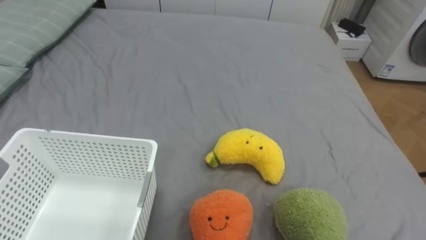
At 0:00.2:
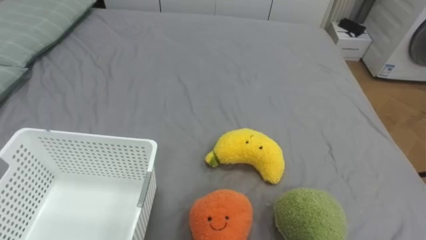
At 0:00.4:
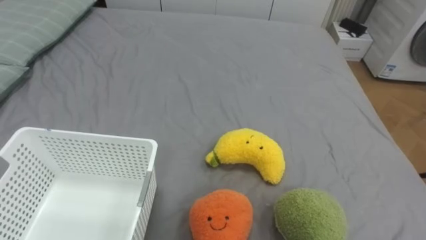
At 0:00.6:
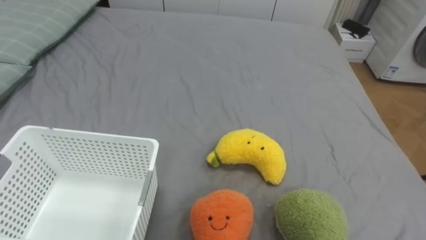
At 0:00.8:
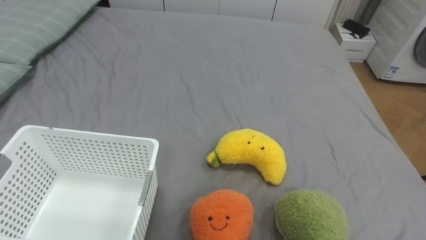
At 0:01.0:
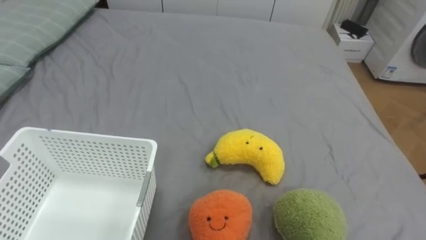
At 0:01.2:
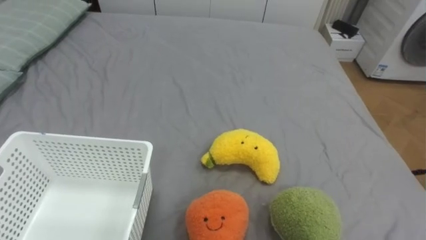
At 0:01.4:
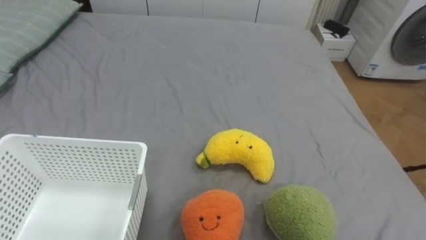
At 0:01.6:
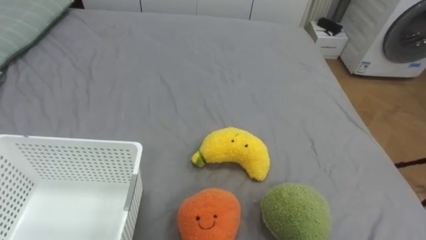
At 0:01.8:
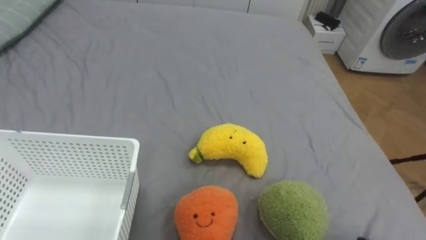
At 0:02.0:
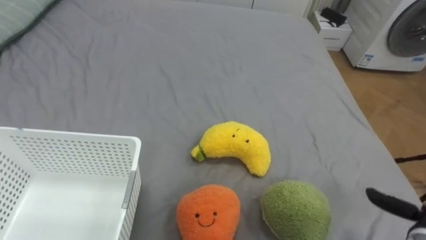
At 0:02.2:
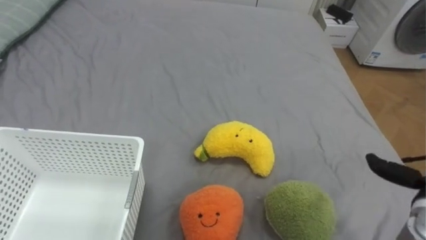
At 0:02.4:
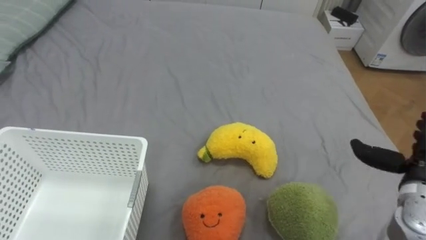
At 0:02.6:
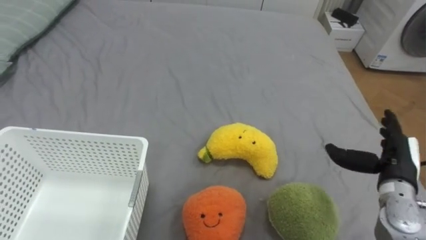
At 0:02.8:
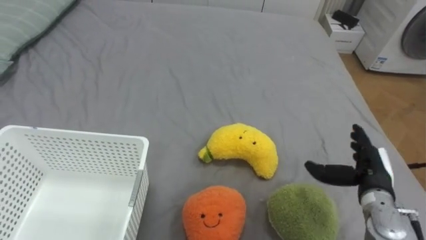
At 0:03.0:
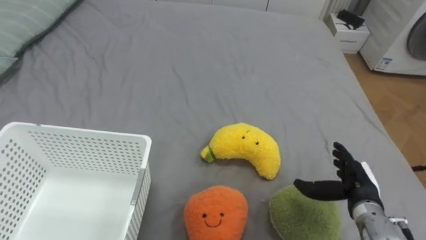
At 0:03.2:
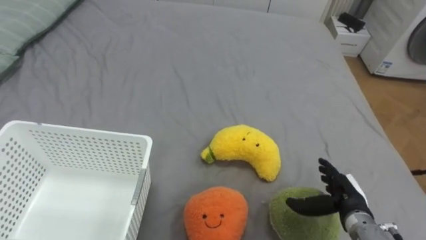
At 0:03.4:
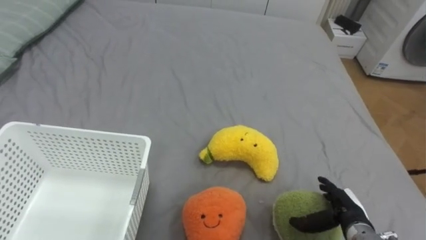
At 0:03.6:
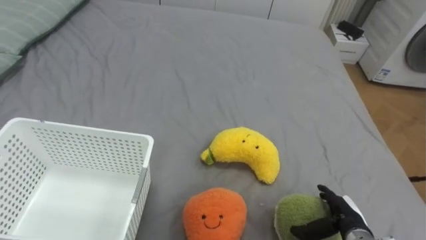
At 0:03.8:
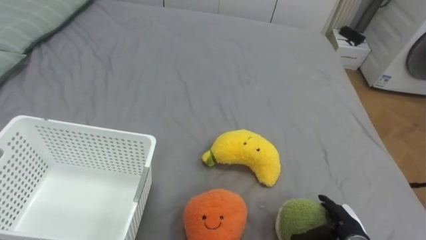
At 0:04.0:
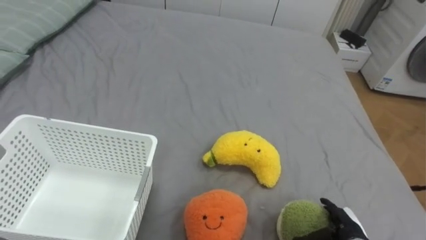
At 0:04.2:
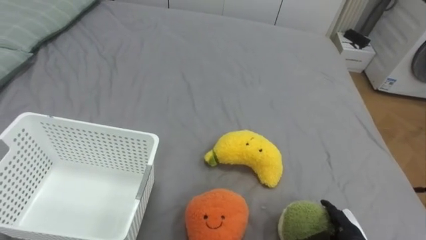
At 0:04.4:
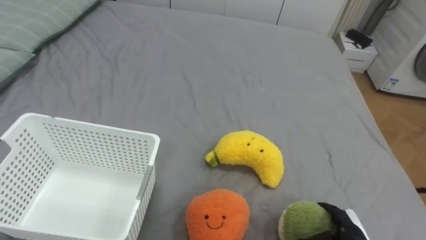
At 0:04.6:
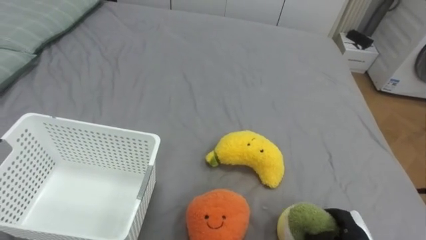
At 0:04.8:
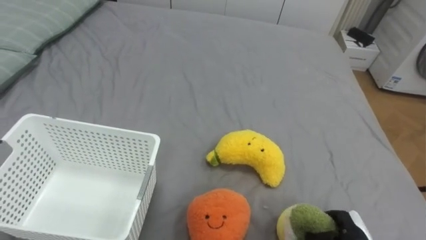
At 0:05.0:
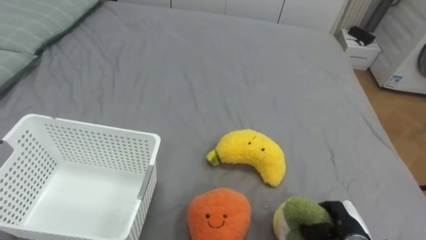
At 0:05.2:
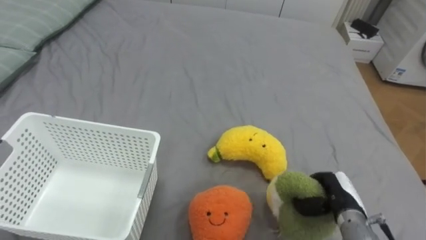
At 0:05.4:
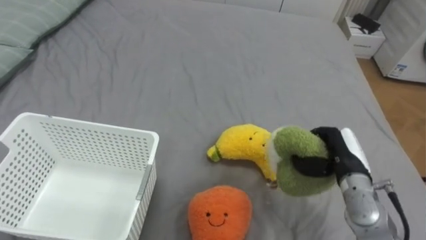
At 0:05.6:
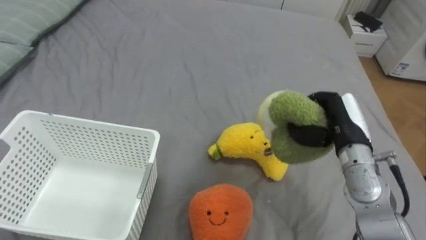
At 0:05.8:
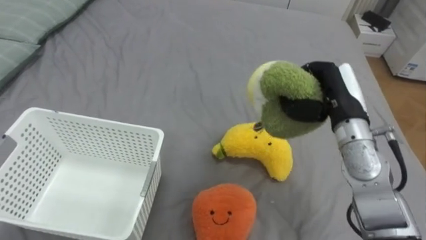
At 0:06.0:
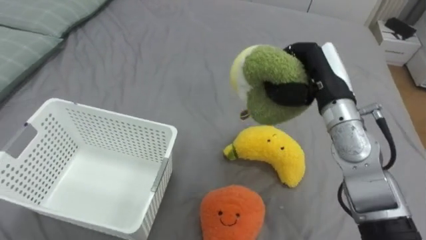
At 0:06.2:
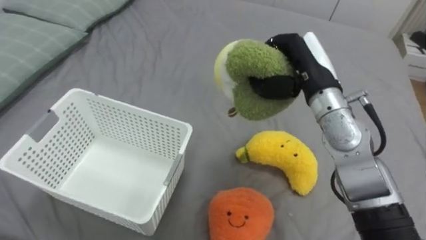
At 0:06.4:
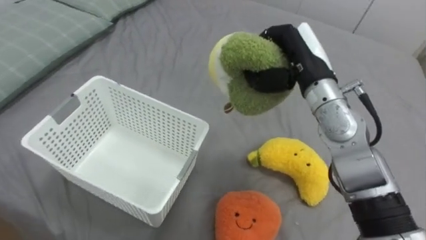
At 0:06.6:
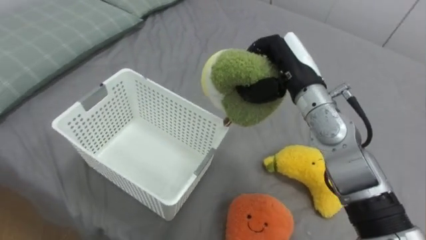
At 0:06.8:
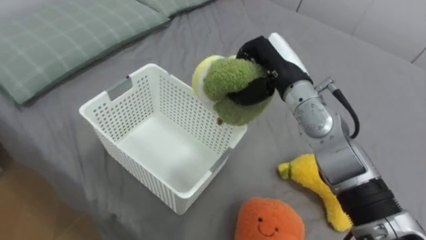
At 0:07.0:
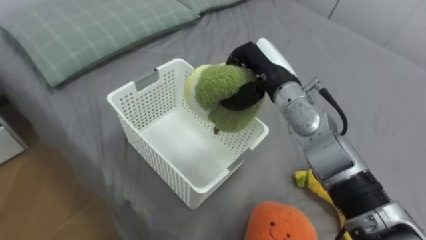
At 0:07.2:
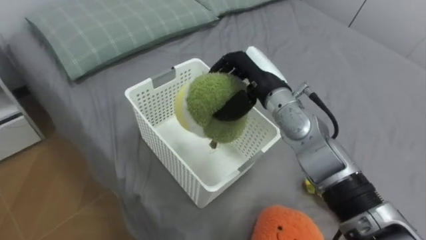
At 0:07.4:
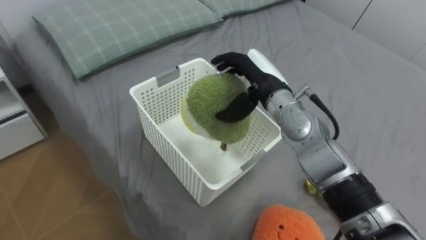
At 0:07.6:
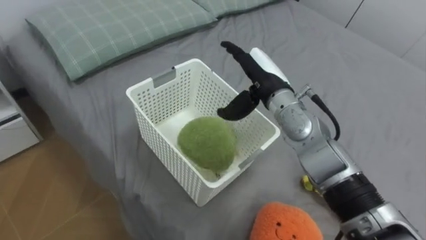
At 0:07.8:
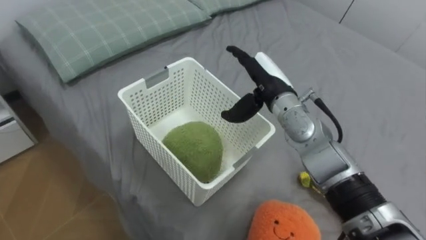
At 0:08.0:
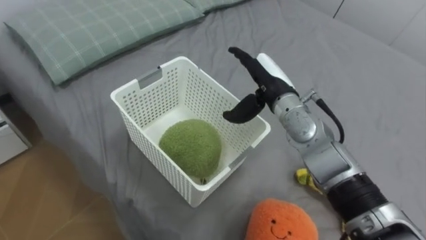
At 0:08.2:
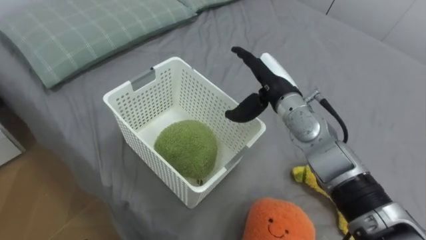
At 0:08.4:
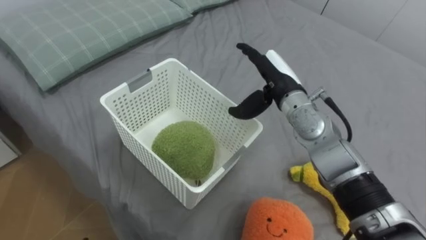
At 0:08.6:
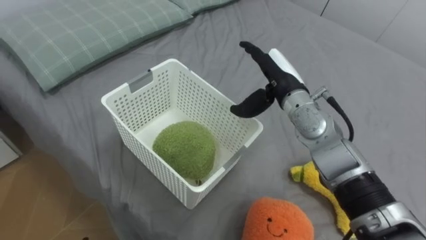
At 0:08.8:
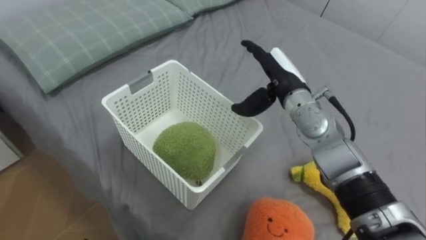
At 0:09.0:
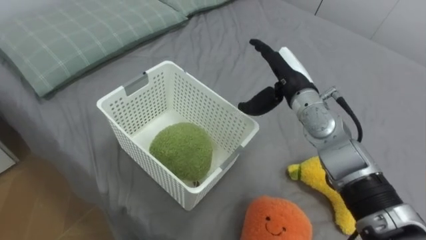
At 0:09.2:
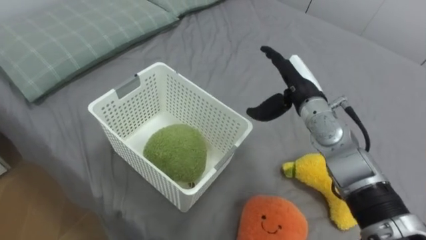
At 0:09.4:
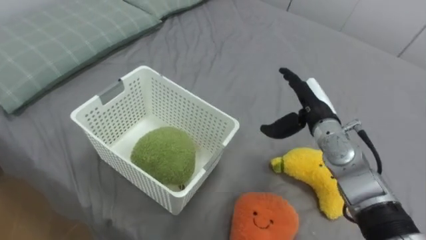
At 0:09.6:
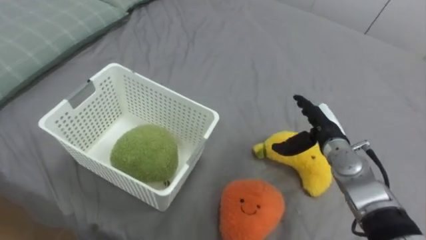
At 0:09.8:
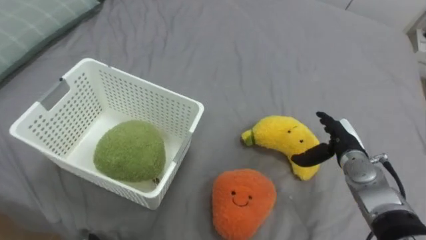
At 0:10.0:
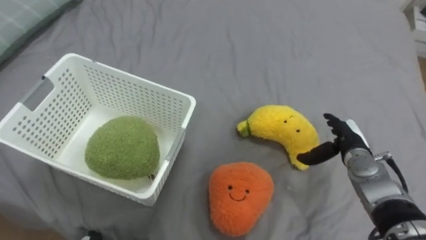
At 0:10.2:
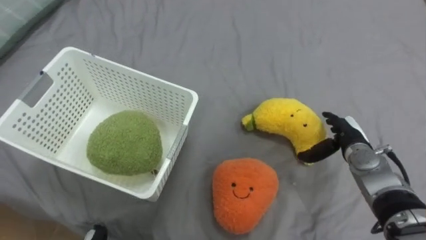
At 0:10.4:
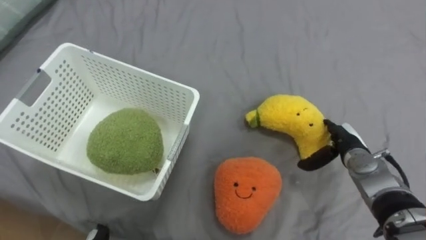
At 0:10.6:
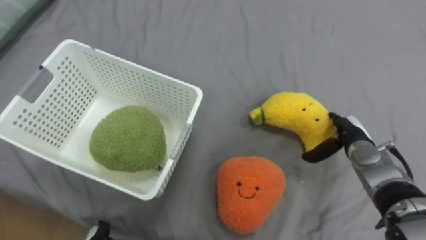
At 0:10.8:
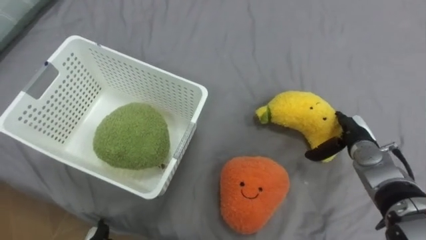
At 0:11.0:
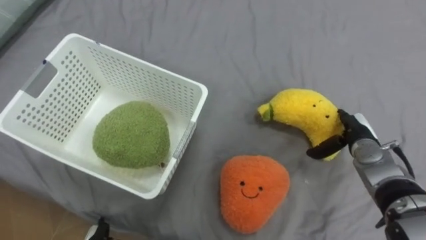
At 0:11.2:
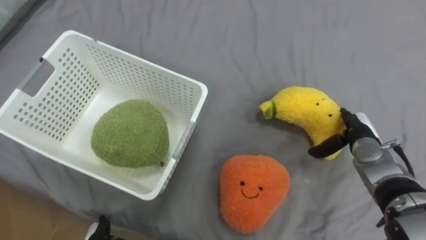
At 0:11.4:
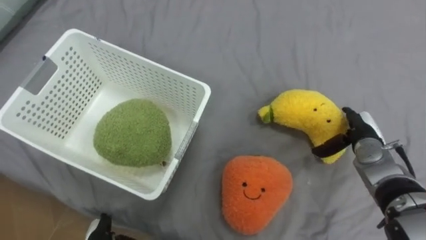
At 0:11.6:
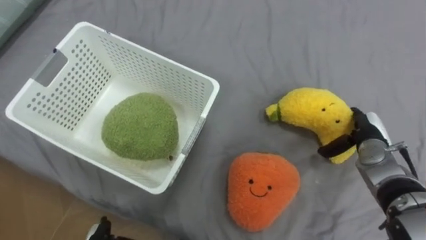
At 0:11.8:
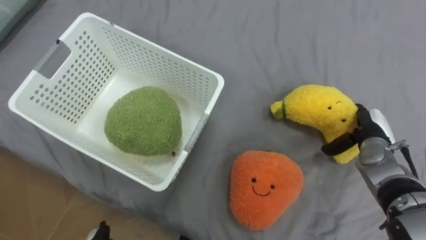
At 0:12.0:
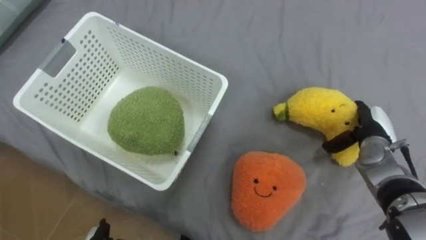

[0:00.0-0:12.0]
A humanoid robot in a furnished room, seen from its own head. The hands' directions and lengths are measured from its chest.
Task of the whole recording: Put the toys on the bed into the basket on the left.
0:03.0 to 0:04.4: The right hand moves downward and backward, about 10 cm.
0:04.4 to 0:06.0: The right hand is displaced upward and forward by roughly 35 cm, and closes its fingers.
0:06.0 to 0:07.6: The right hand goes approximately 10 cm to the left, and opens up.
0:07.6 to 0:09.0: The right hand changes place by about 5 cm.
0:09.0 to 0:10.4: The right hand moves downward and to the right, some 20 cm.
0:10.4 to 0:12.0: The right hand ends up roughly 5 cm from where it was.

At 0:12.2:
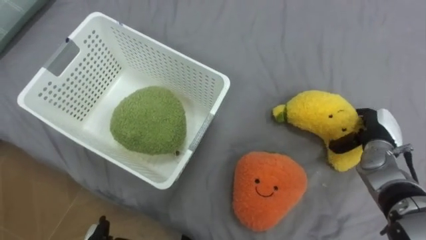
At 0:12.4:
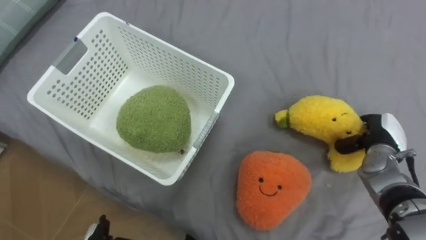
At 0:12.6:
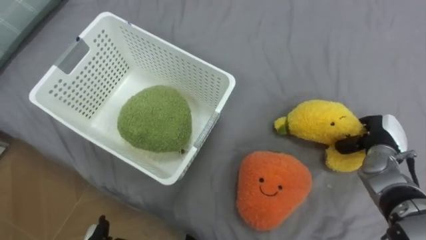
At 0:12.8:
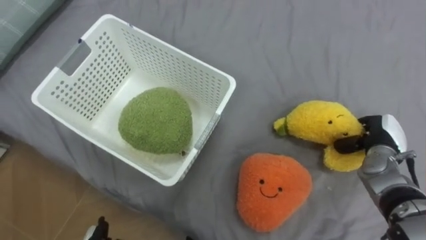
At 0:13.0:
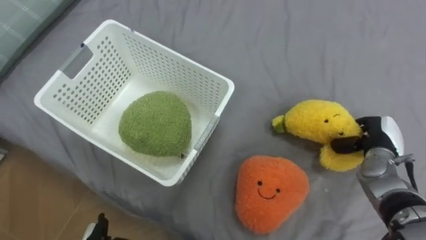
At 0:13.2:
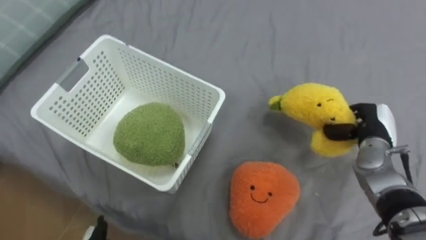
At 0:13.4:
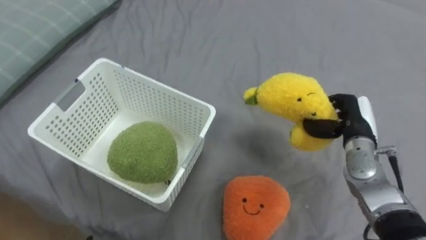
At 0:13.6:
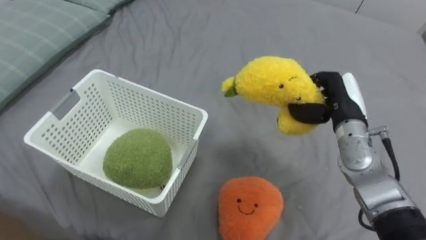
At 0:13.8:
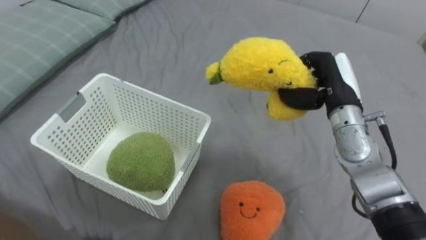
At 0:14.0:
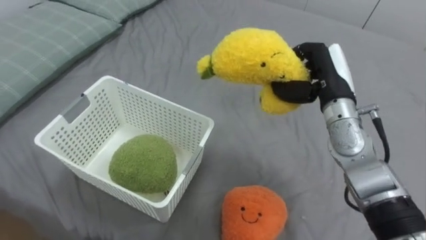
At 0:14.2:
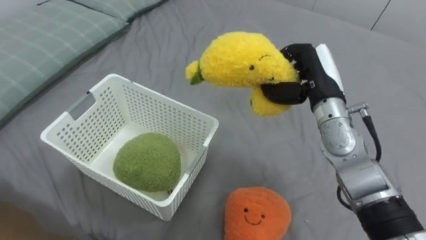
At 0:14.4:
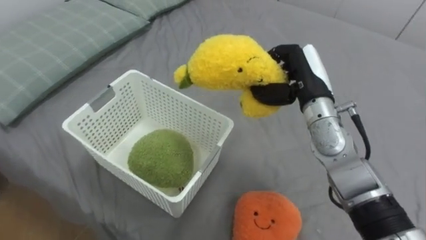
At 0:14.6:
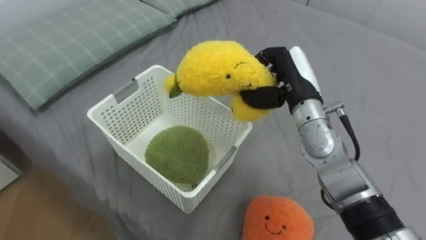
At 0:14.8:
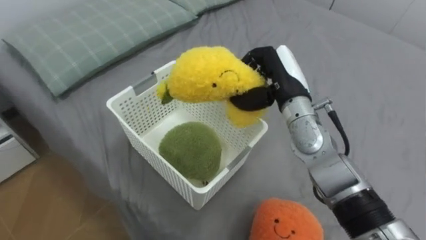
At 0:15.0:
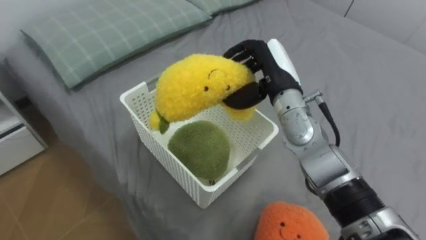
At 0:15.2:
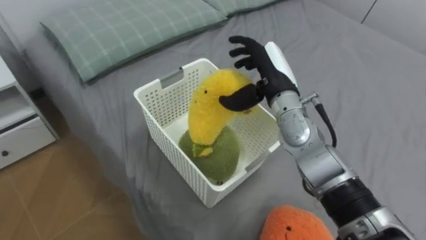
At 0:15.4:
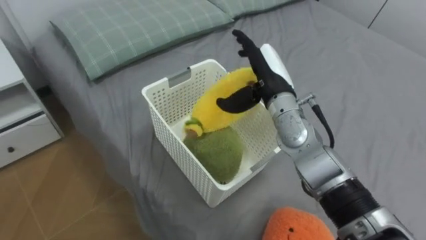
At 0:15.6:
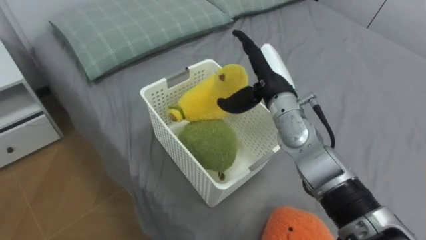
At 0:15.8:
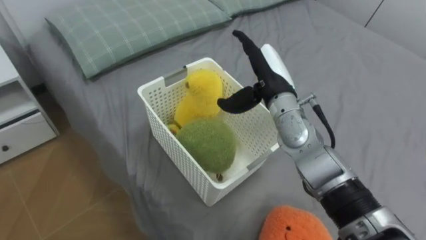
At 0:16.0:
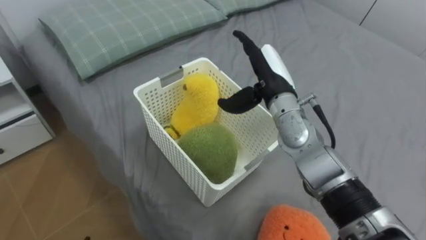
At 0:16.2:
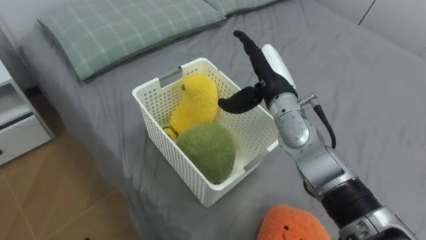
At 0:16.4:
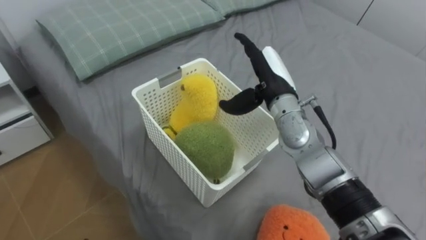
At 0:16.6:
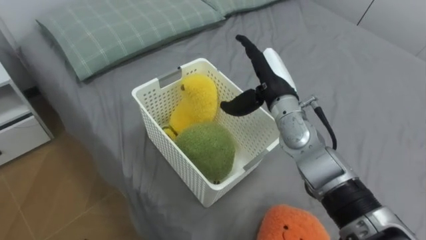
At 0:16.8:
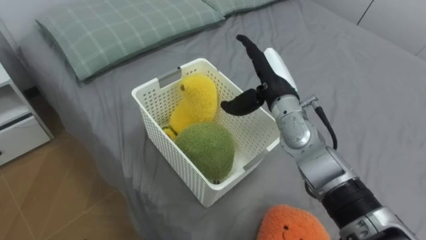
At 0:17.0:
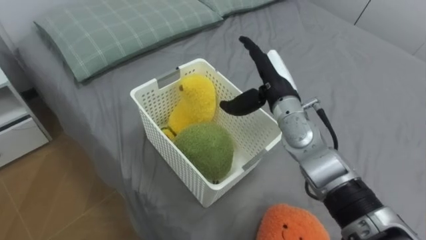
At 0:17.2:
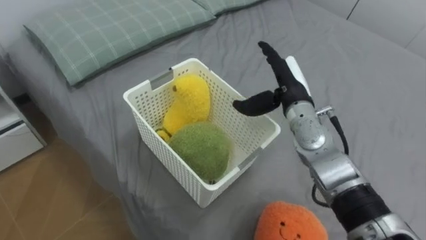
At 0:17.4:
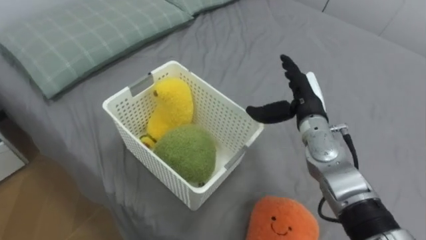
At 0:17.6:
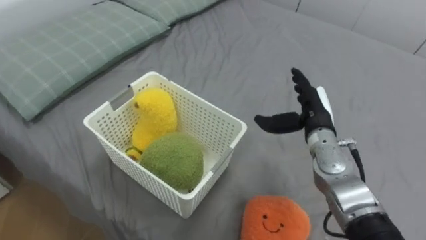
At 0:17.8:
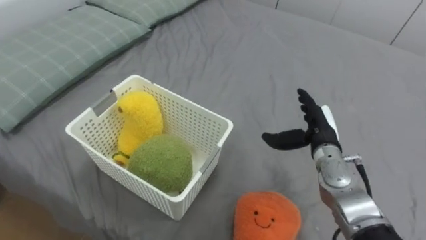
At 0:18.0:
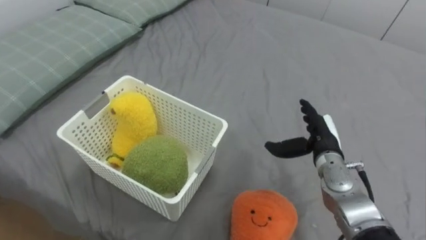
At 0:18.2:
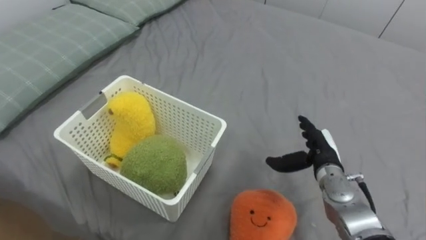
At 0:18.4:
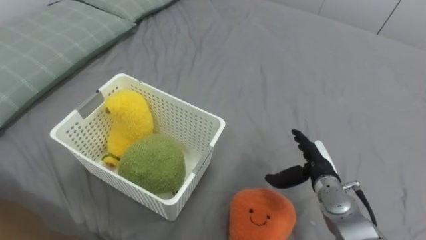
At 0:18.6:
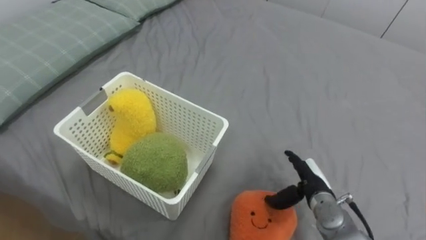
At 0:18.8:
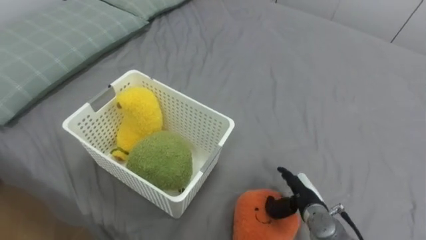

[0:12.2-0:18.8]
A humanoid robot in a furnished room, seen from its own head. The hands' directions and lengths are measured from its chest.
Task of the whole recording: Put the toys on the bed into the basket on the left.
0:12.2 to 0:13.8: The right hand shifts approximately 15 cm upward and to the left, and closes up.
0:13.8 to 0:15.4: The right hand goes some 10 cm to the left, and opens its fingers.
0:17.2 to 0:18.8: The right hand shifts about 25 cm downward and backward.
